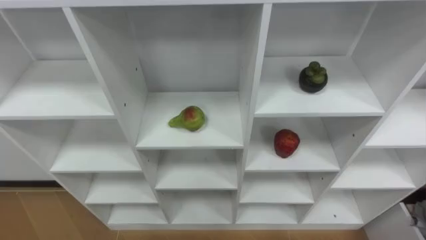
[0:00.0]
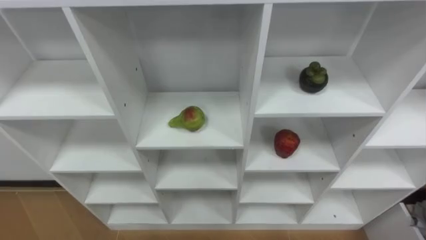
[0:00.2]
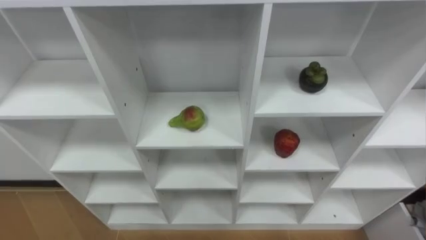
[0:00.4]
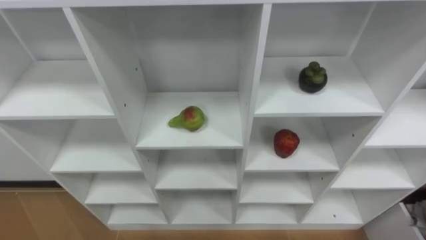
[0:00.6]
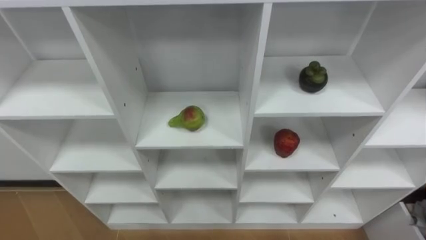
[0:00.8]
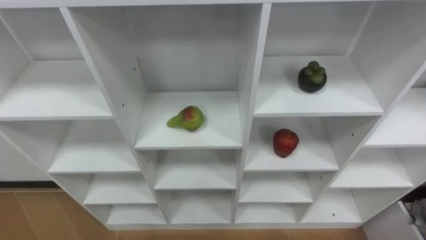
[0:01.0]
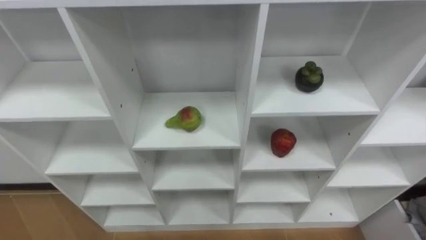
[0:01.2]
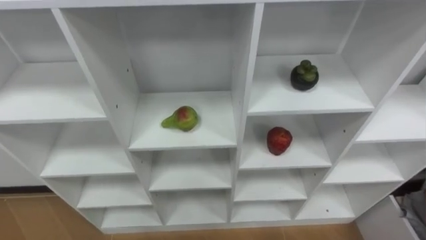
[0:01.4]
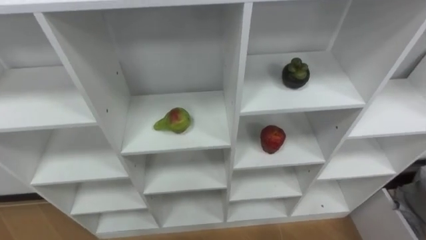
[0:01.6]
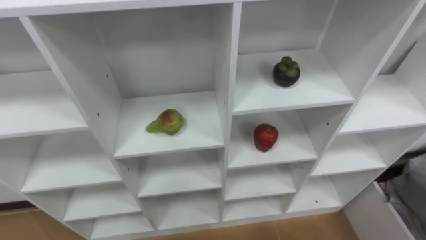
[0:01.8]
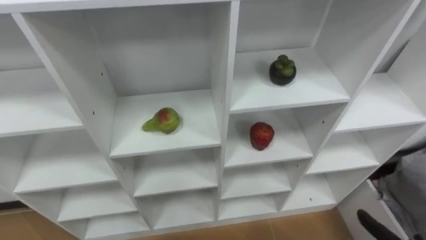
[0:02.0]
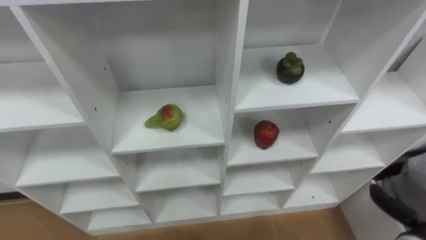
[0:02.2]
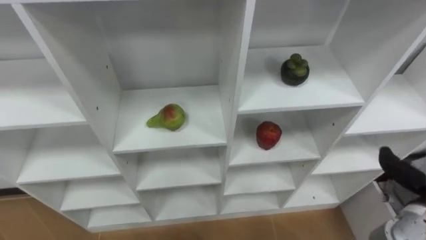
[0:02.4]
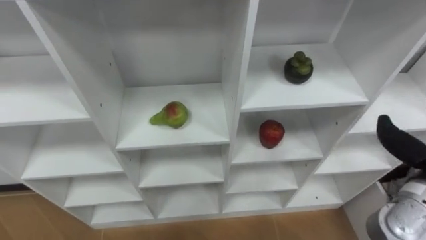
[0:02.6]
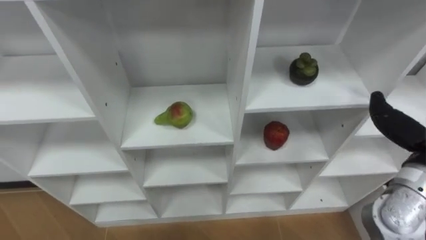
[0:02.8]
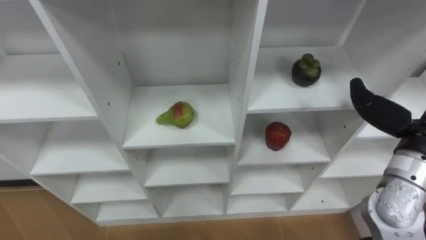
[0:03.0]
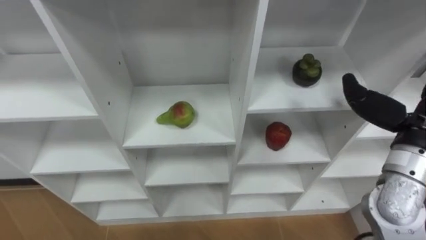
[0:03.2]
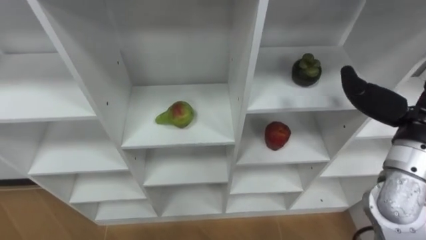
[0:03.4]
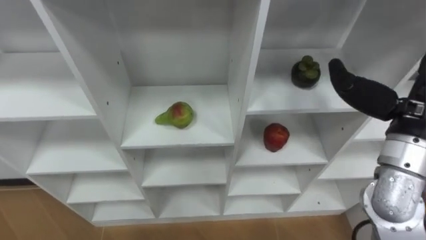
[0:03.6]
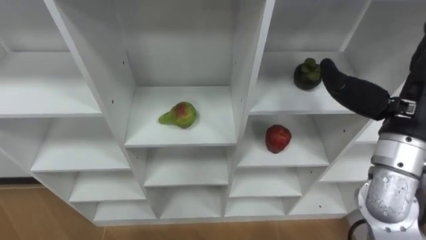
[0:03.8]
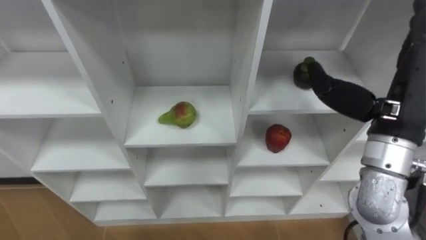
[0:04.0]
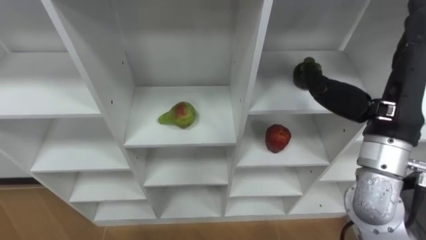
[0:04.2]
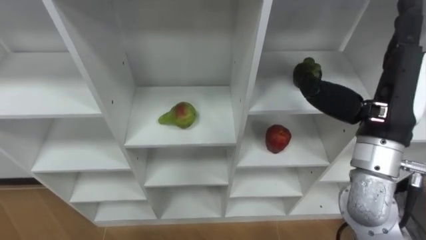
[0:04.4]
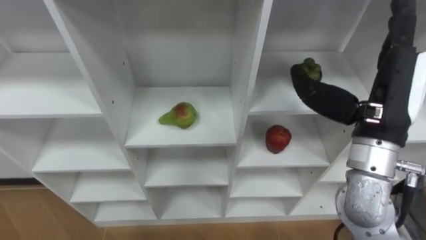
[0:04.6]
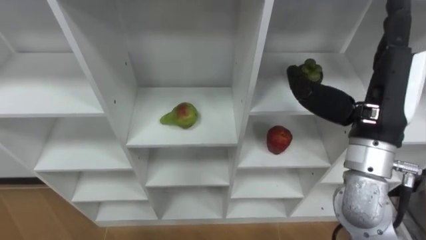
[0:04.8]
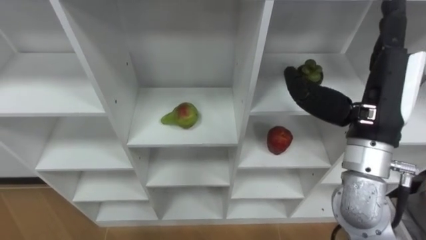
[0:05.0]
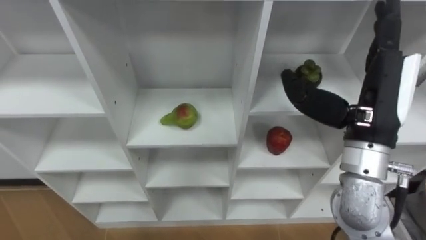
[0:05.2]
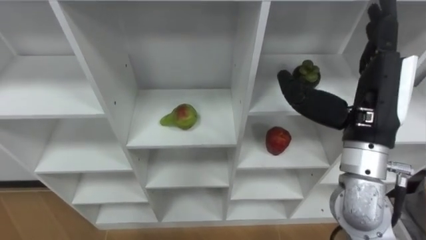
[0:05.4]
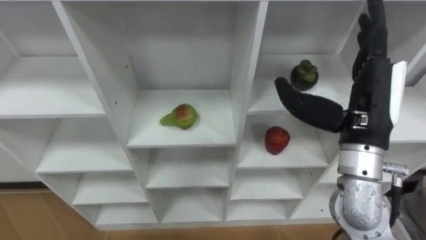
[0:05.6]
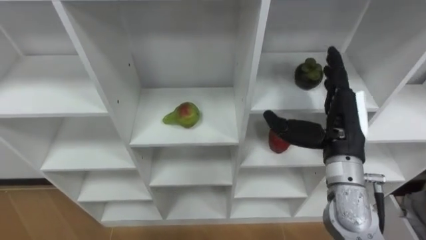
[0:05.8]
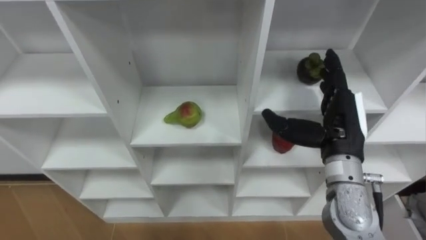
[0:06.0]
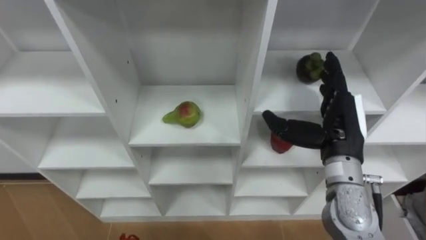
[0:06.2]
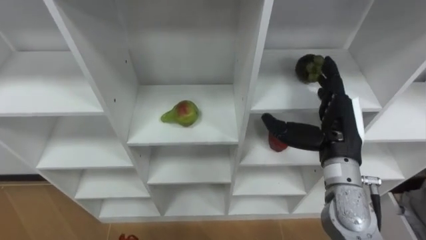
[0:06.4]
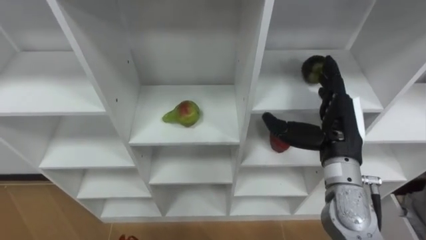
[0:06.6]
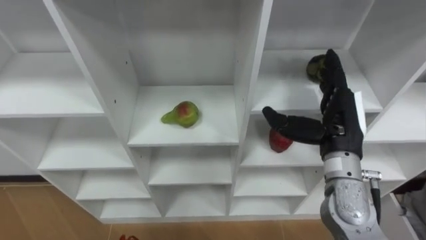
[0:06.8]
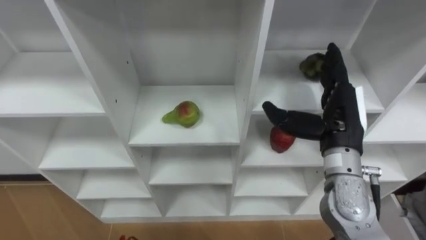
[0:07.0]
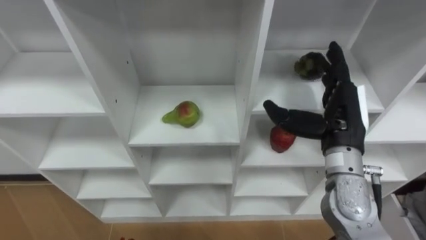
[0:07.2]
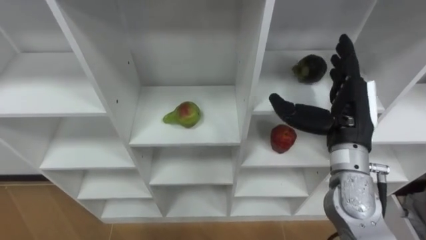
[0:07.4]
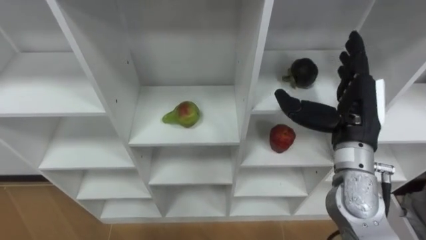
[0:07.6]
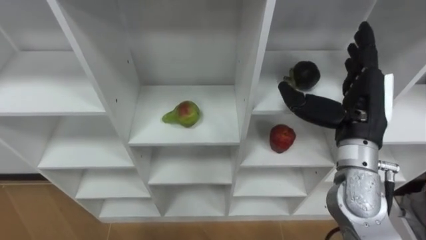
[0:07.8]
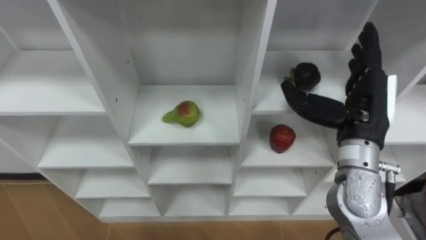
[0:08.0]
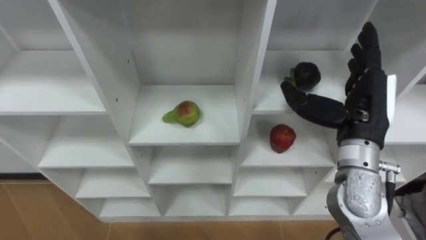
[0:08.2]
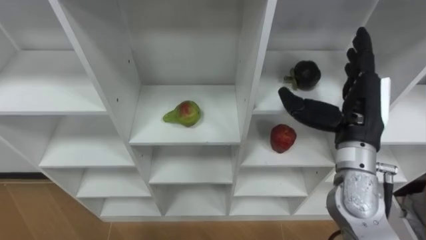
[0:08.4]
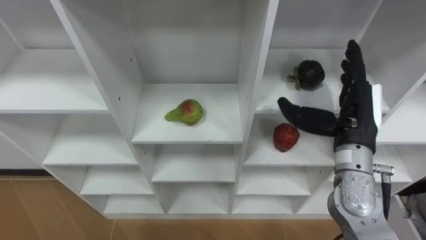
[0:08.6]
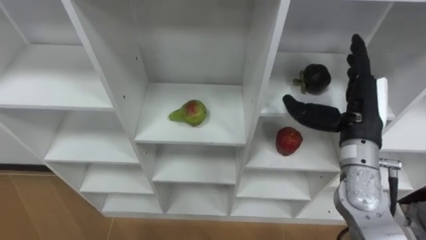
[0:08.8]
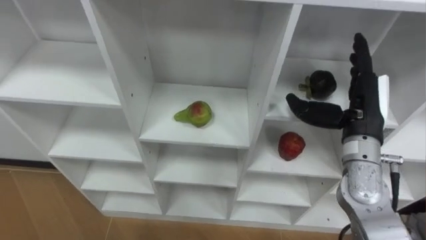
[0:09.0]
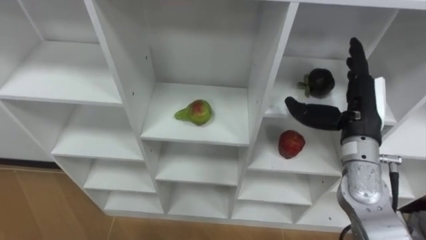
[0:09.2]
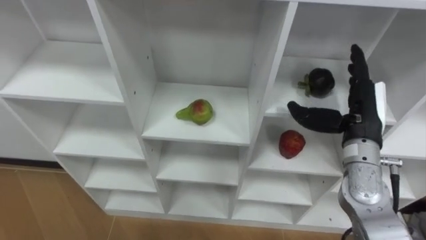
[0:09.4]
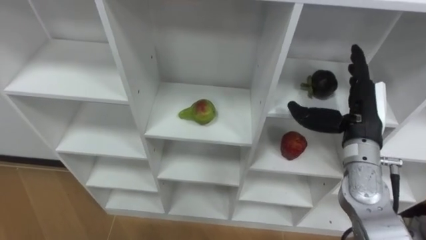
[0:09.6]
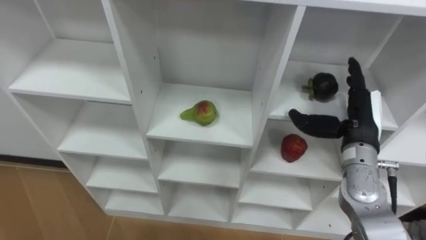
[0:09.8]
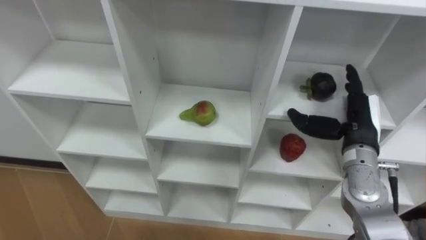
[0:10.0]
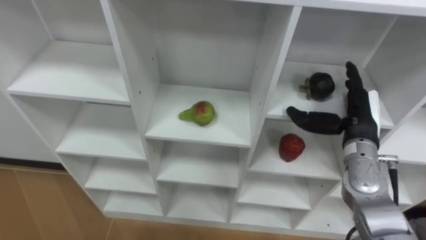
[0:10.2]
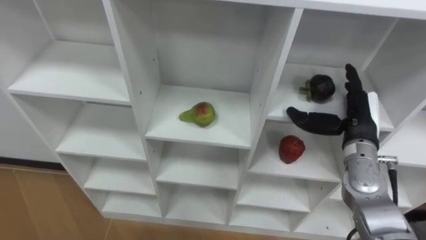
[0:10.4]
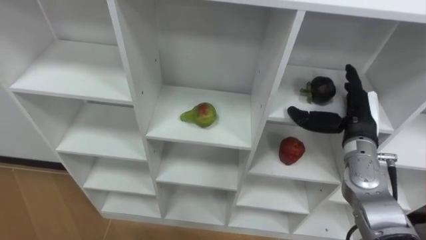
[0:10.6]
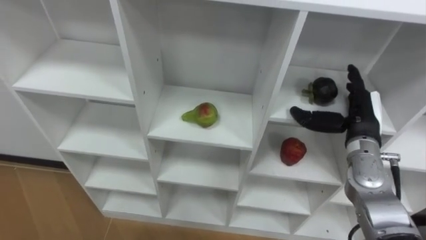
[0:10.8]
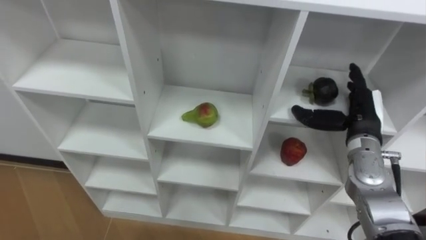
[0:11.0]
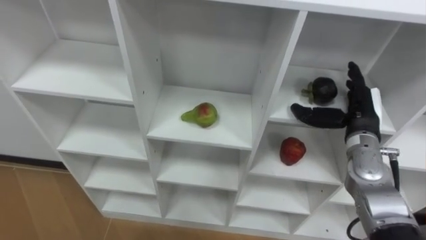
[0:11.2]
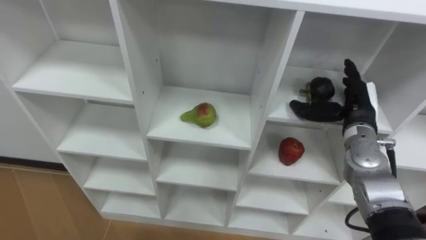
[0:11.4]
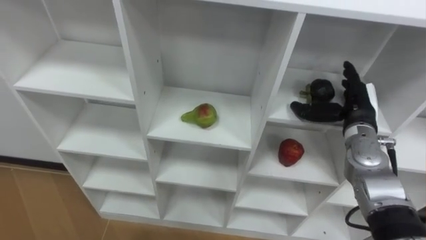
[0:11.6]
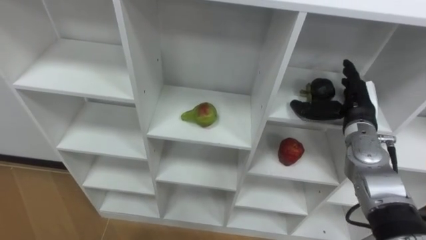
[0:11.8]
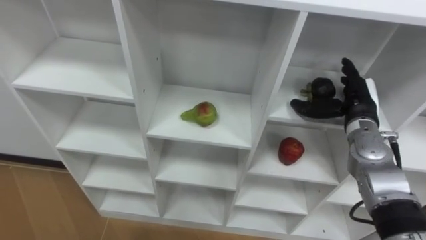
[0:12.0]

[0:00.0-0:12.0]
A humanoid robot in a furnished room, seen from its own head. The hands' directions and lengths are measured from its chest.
Task of the whole recording: Hold the basket and collect the fruits from 3 different cells of the closet into it.
0:03.0 to 0:04.4: The right hand shifts some 10 cm to the left and upward.
0:04.4 to 0:06.0: The right hand moves downward, roughly 10 cm.
0:09.0 to 0:10.4: The right hand travels downward by approximately 5 cm.

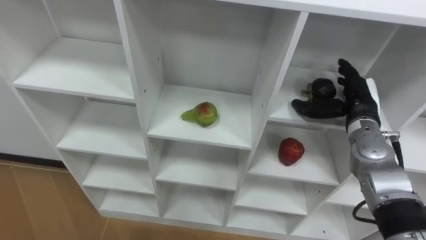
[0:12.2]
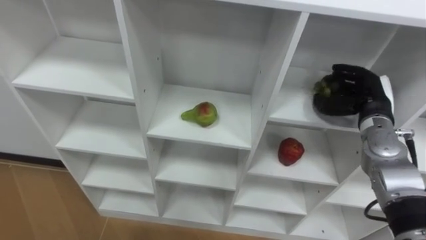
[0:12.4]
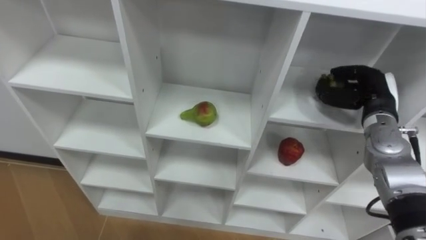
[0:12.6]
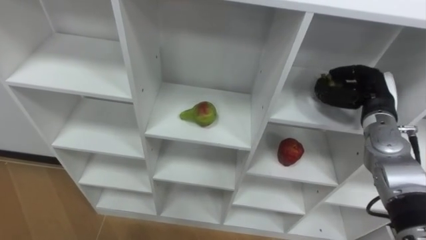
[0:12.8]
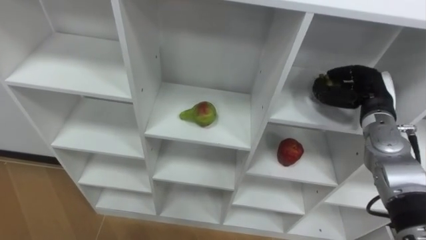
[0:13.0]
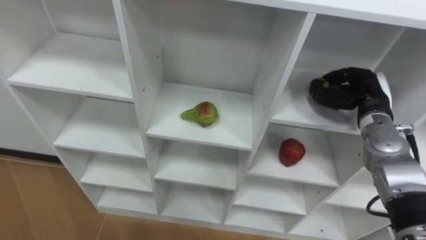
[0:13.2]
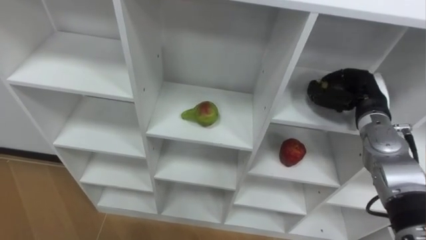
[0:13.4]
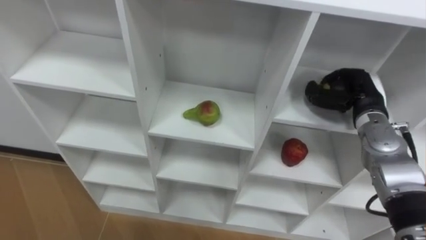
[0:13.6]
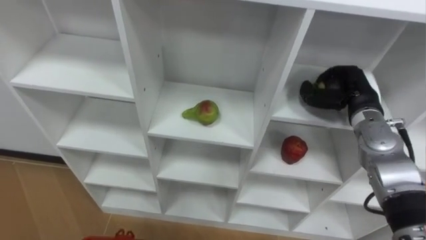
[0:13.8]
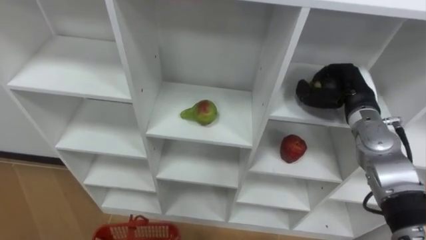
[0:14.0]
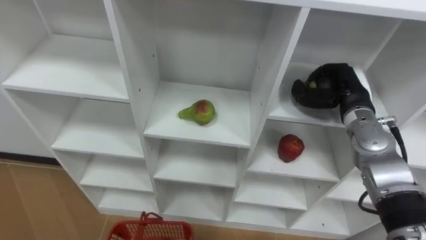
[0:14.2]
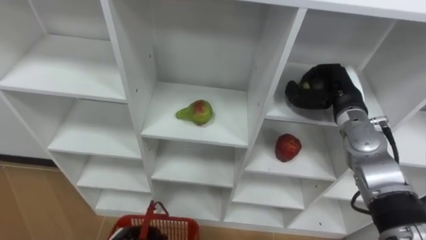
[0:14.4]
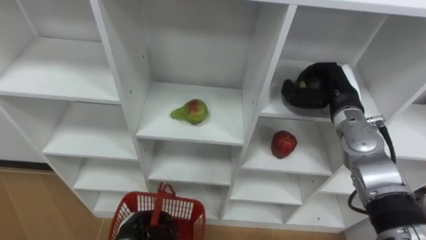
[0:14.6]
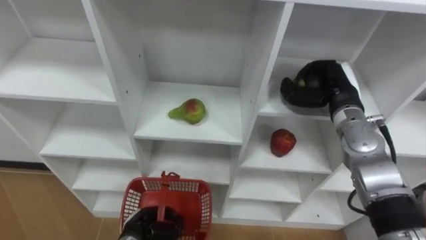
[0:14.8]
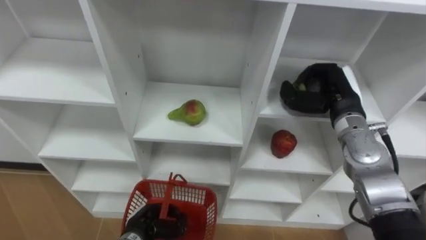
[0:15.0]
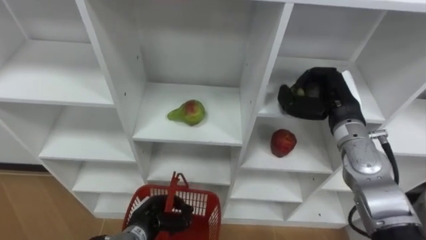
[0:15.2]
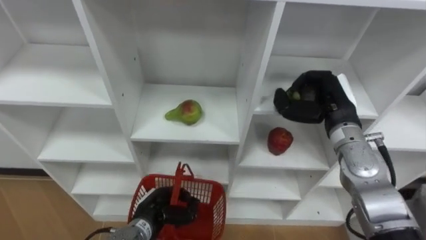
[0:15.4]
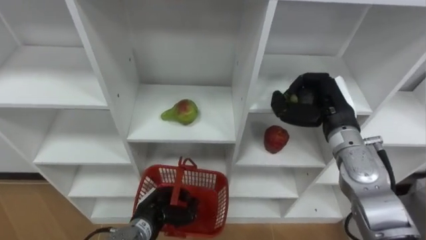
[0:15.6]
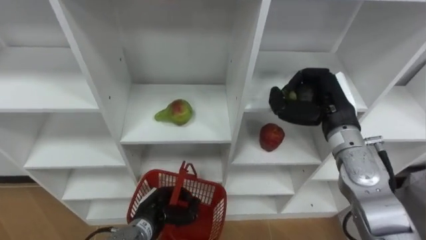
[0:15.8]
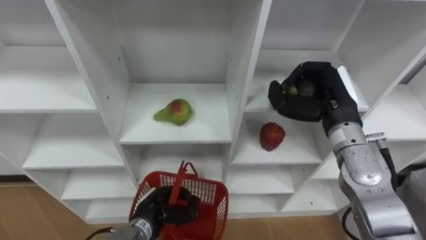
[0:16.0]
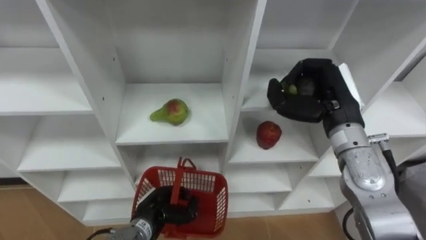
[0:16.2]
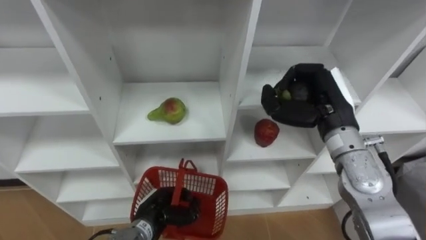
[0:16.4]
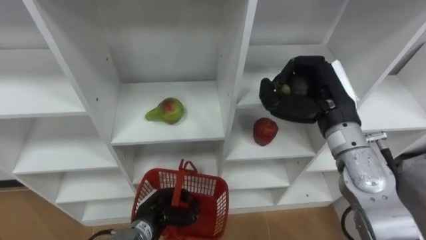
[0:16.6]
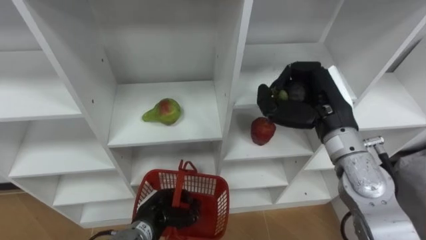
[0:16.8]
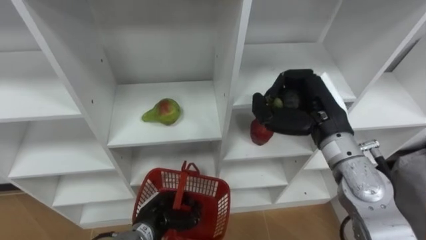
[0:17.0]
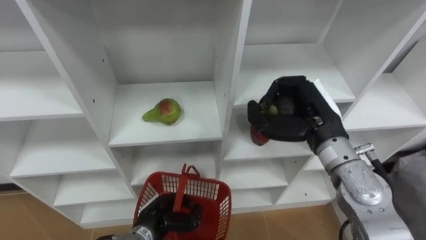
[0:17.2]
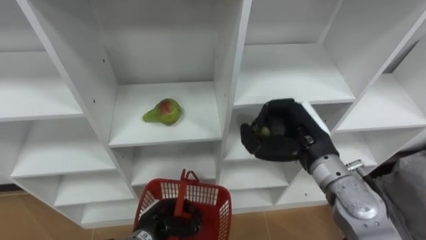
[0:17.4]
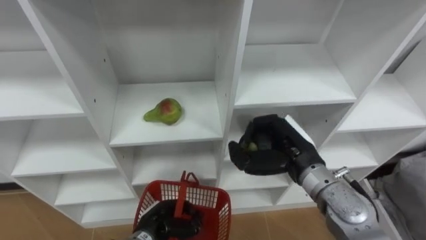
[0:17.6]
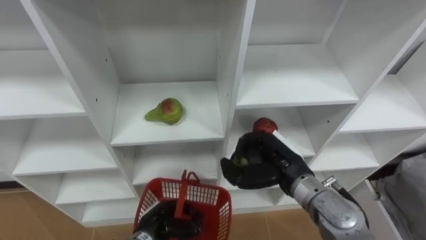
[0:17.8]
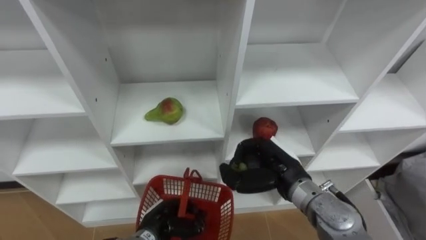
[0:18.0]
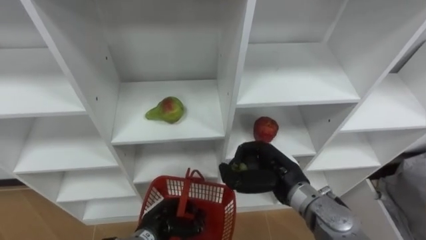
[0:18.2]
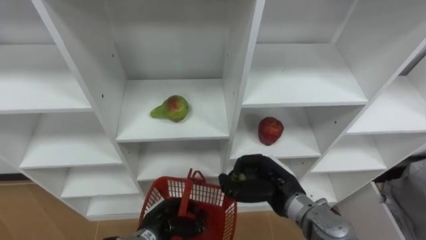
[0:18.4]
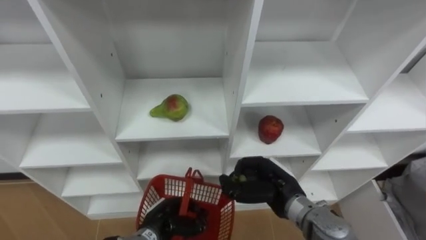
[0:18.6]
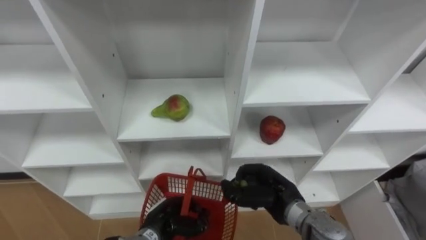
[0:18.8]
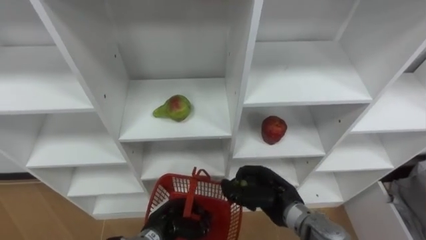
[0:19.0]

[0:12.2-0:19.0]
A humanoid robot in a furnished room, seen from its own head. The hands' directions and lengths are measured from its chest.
Task of the whole recording: Hold the basket and collect the fruits from 3 different cells of the closet into it.
0:12.2 to 0:13.6: The right hand closes up.
0:13.6 to 0:15.0: The right hand moves to the left, some 5 cm.
0:15.0 to 0:16.2: The right hand changes place by approximately 5 cm.
0:16.2 to 0:17.6: The right hand travels downward and to the left by about 10 cm.
0:17.6 to 0:19.0: The right hand heads downward, covering approximately 10 cm.
